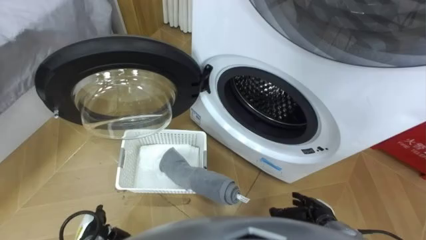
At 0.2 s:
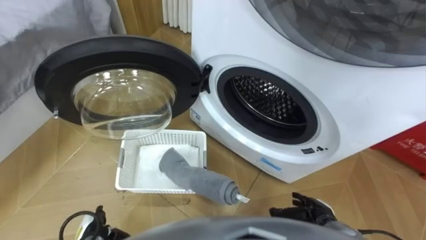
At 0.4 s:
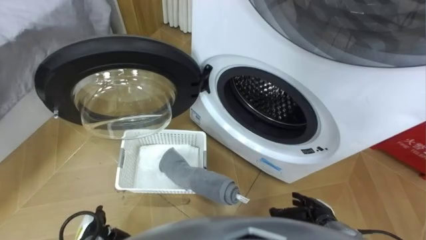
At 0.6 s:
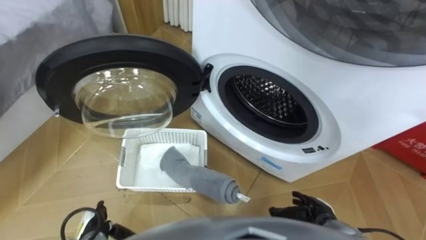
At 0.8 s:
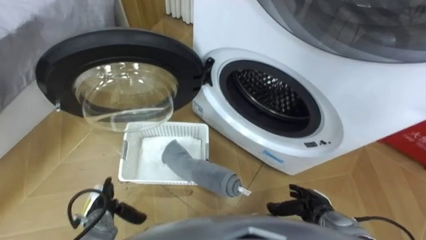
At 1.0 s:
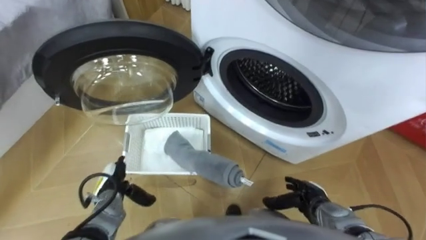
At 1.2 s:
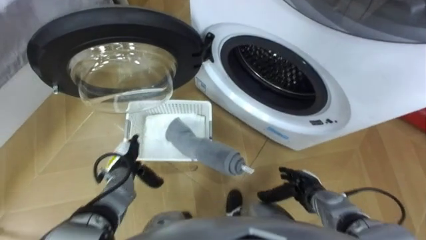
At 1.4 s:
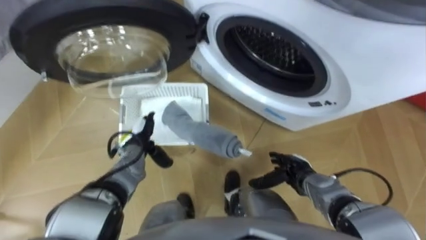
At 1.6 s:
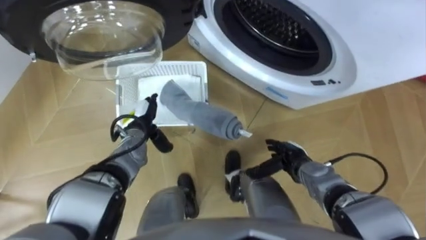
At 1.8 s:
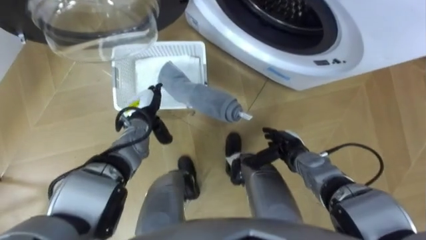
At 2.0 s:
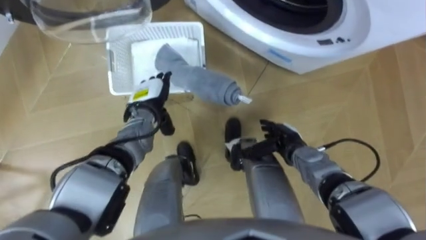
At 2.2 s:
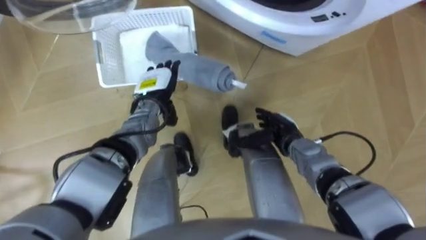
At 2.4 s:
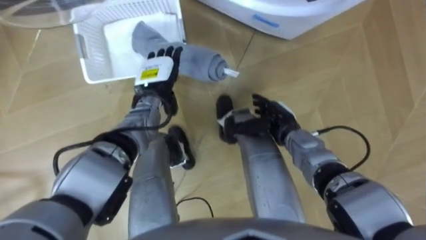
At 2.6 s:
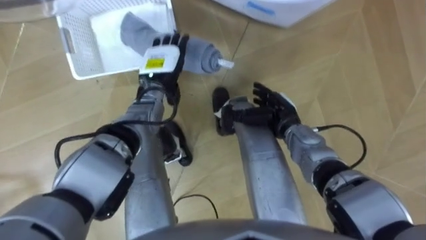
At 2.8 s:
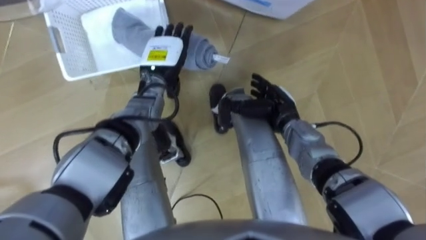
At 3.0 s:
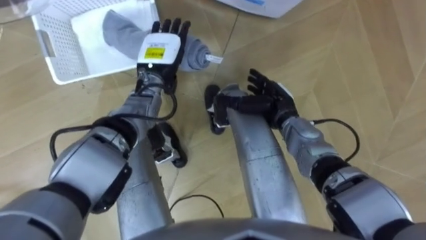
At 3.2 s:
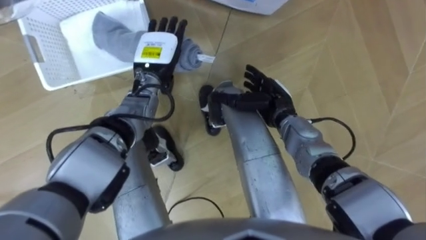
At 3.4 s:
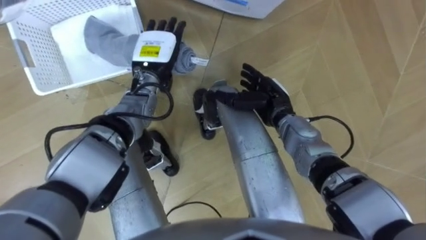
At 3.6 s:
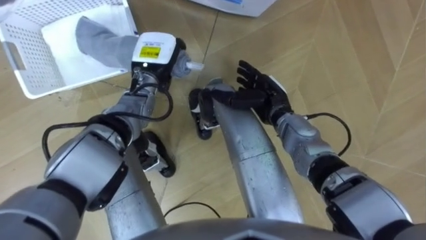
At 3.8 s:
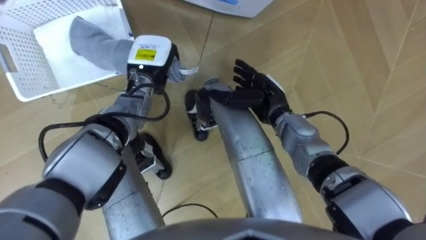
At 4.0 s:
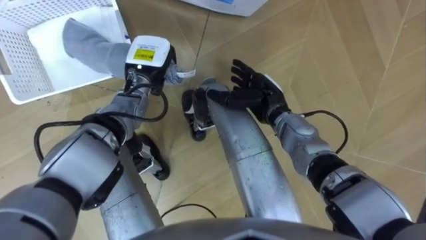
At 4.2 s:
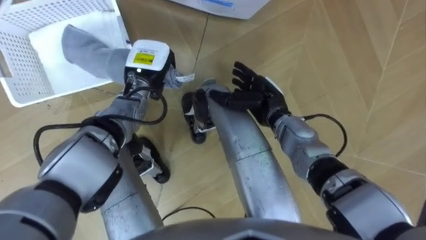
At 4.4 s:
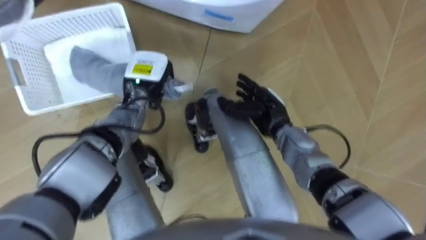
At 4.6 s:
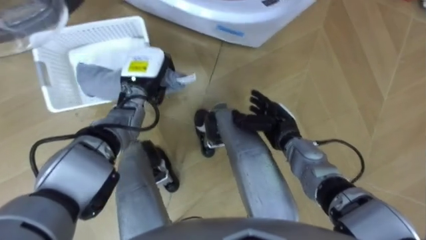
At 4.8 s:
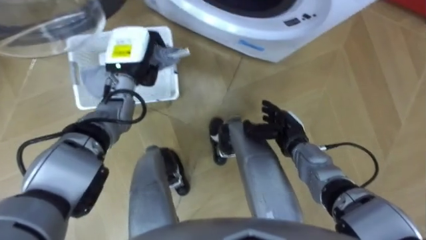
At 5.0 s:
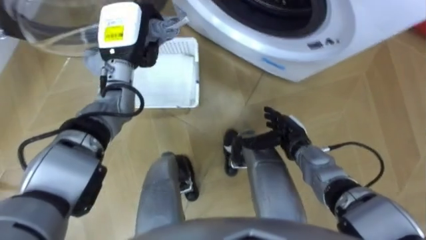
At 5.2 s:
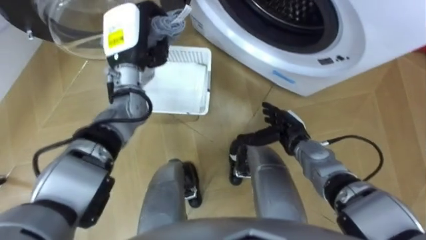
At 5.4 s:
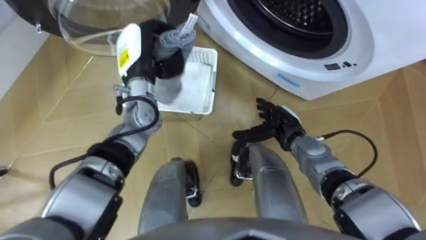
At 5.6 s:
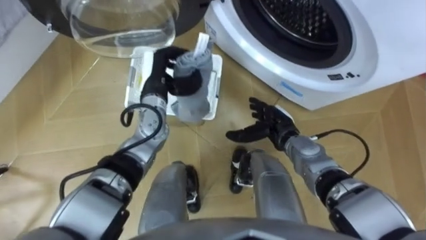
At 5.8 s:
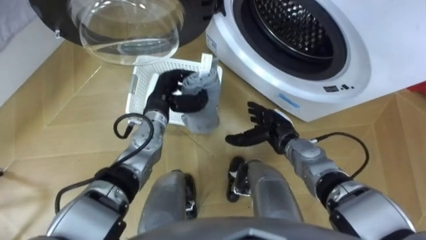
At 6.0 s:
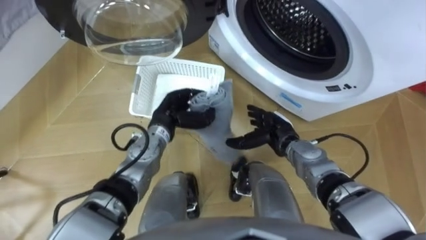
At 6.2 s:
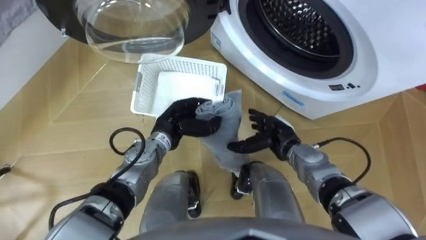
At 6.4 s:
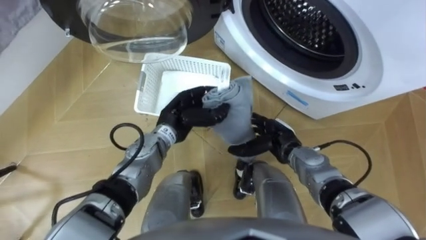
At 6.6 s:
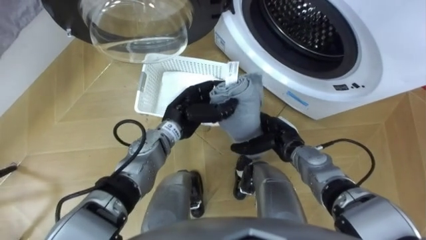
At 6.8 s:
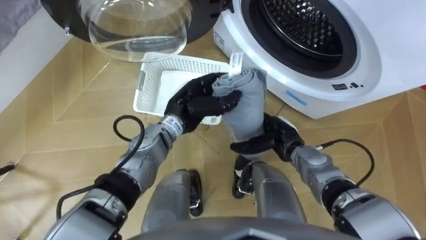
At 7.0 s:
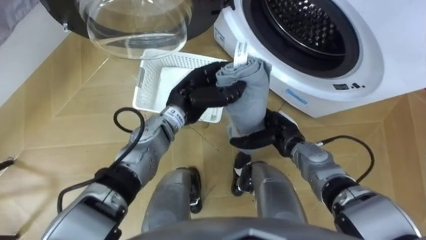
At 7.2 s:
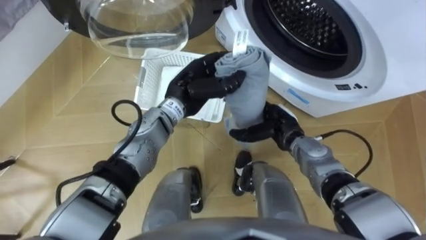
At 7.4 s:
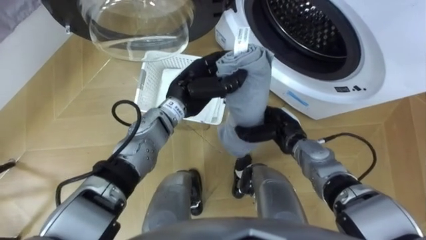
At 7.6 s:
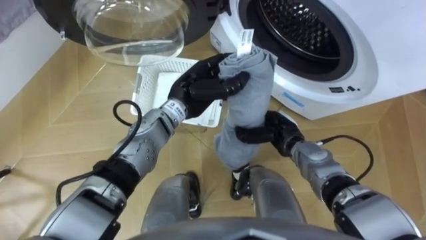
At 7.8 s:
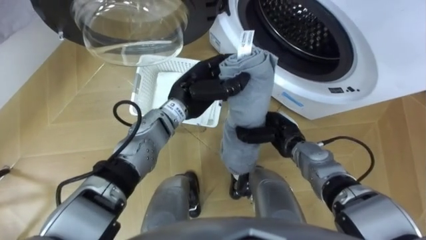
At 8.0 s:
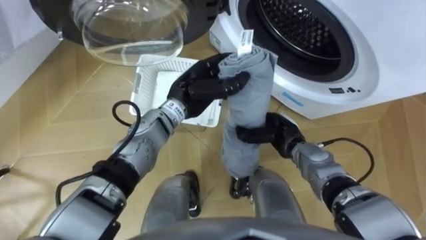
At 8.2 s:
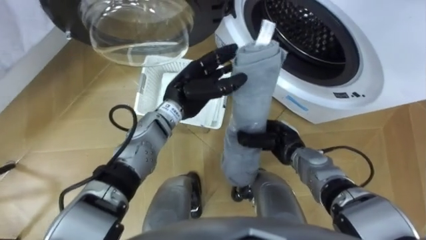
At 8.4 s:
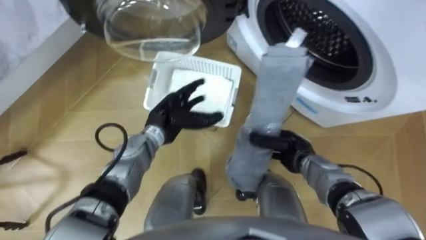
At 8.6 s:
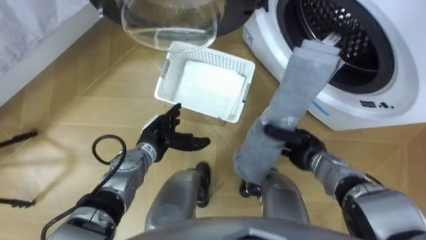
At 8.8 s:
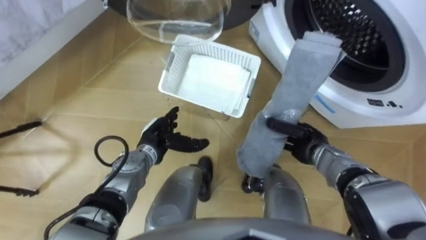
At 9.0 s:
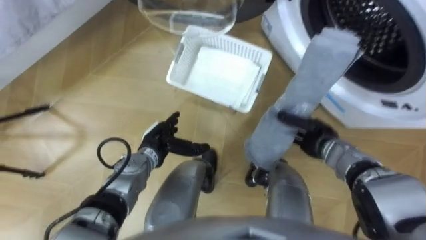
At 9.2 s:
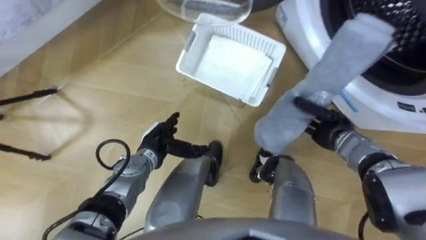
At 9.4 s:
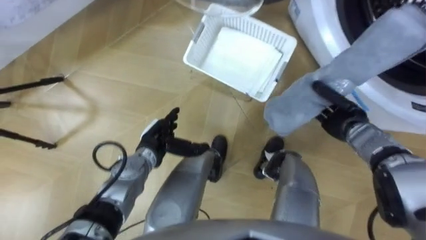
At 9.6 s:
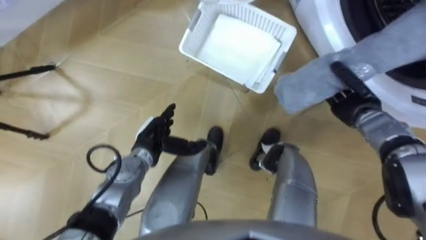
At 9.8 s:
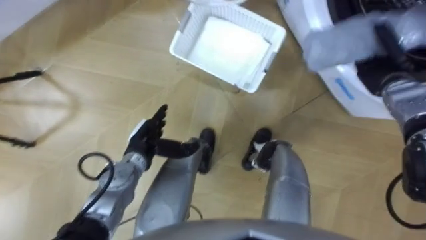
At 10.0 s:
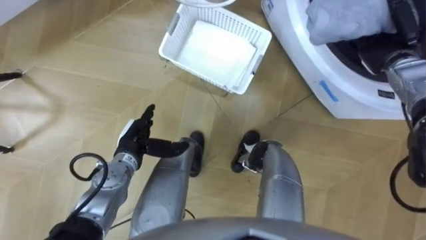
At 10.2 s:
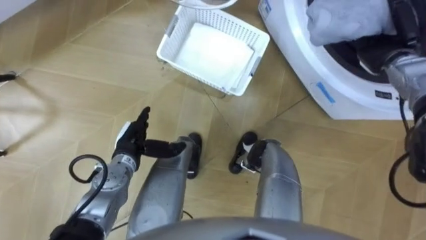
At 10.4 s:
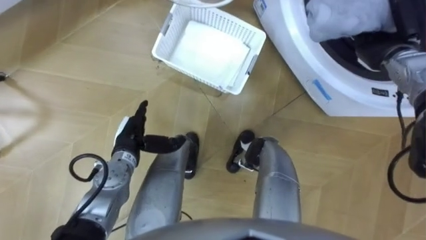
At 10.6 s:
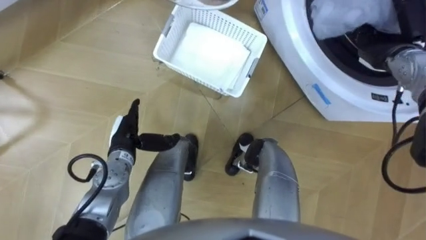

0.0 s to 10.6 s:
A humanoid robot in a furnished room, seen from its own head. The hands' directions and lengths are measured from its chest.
Task of the whole recording: Take the towel from the basket and put it into the washing machine.
1.6 to 3.0 s: The right hand shifts about 15 cm forward, upward and to the left, while the left hand travels upward, forward and to the right by roughly 15 cm.
3.0 to 4.6 s: The left hand ends up approximately 5 cm from where it was, and closes up.
4.6 to 6.0 s: The left hand goes approximately 5 cm backward, and reaches about 10 cm upward, then returns.
6.0 to 7.6 s: The right hand closes. The left hand is displaced upward and to the right by some 10 cm.
7.6 to 9.0 s: The left hand heads downward, to the left and backward, covering roughly 15 cm, and opens. The right hand travels to the right by about 10 cm.
9.0 to 10.6 s: The right hand heads upward, forward and to the right, covering roughly 25 cm, while the left hand shifts about 5 cm to the left.

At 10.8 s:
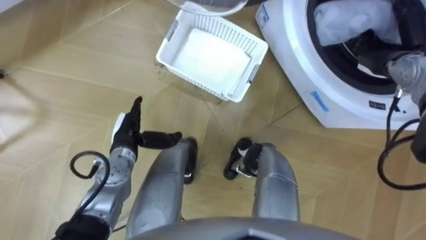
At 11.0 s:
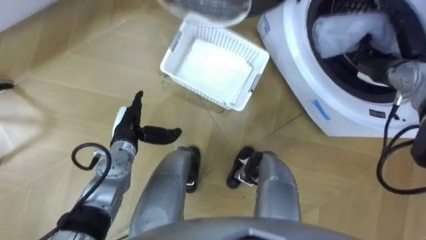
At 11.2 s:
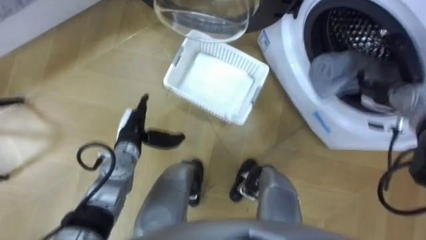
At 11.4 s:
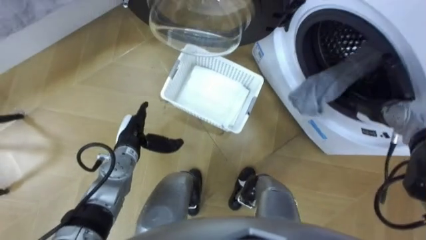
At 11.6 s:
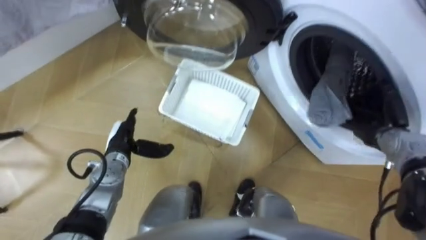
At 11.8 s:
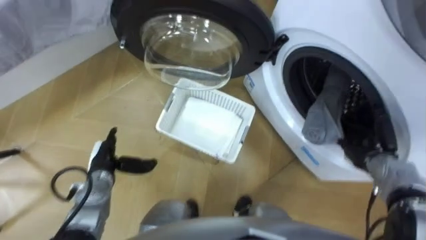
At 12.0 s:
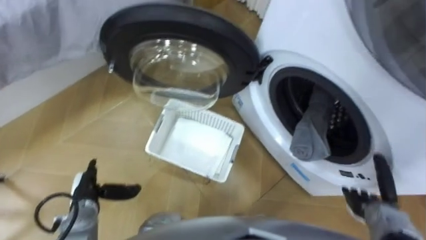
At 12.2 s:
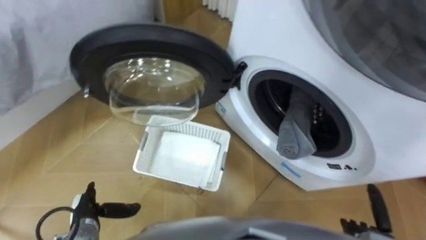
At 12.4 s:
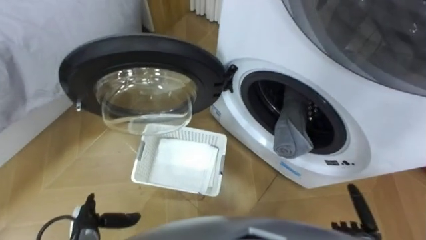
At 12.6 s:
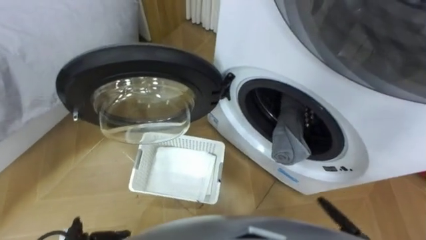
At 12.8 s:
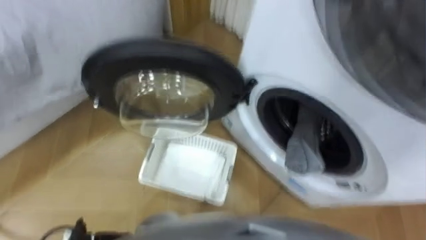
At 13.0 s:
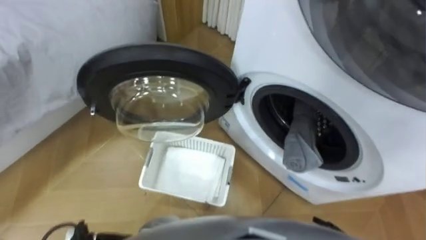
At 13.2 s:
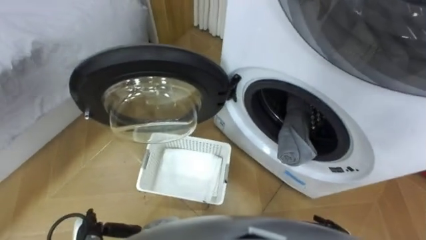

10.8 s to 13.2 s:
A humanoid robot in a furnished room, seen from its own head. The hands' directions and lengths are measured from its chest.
Task of the whole recording: Take the towel from the basket and put it into the washing machine.
10.8 to 12.0 s: The left hand moves backward, to the left and downward, approximately 15 cm. Meanwhile the right hand heads backward and downward, covering roughly 30 cm.

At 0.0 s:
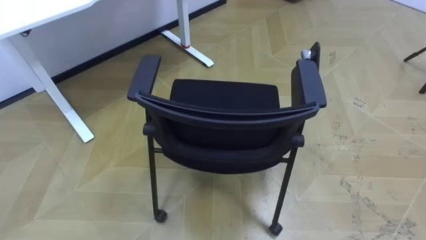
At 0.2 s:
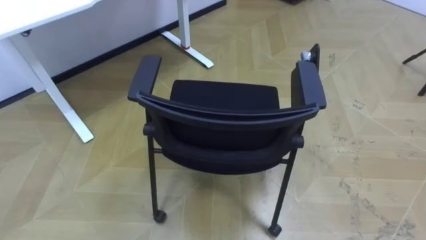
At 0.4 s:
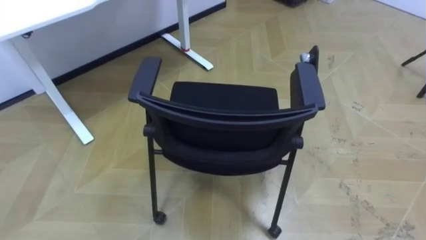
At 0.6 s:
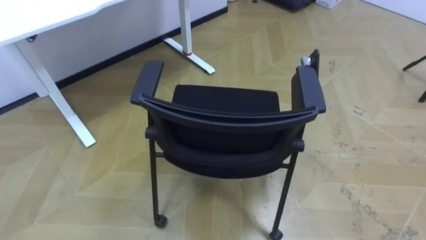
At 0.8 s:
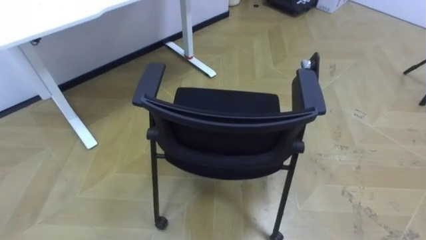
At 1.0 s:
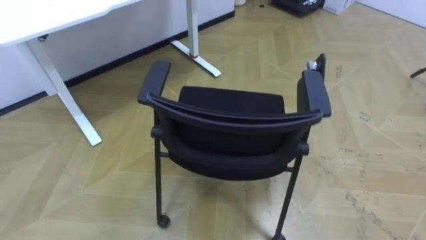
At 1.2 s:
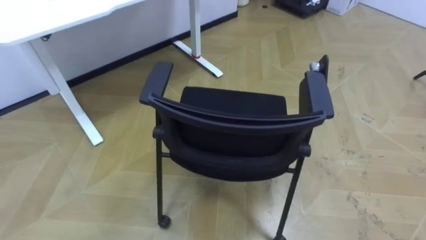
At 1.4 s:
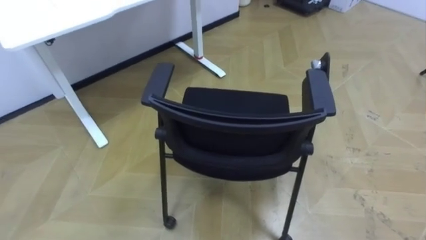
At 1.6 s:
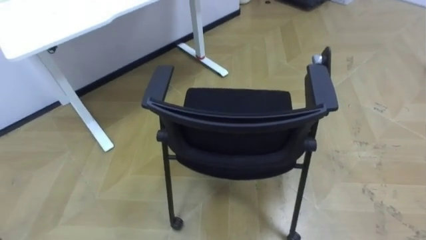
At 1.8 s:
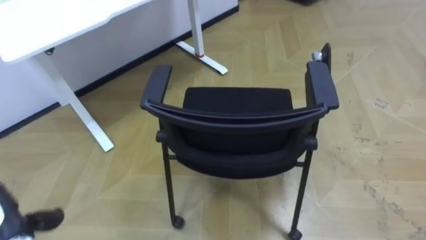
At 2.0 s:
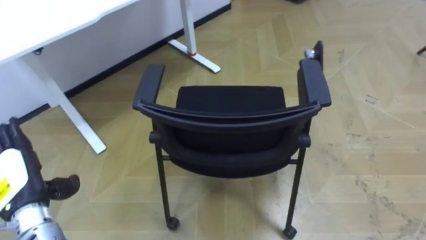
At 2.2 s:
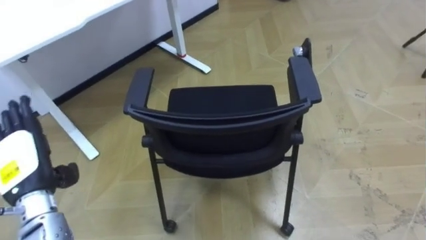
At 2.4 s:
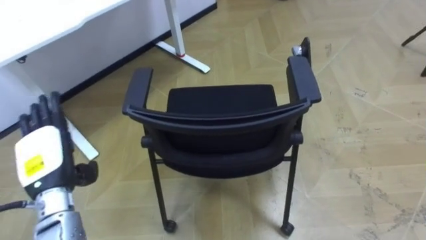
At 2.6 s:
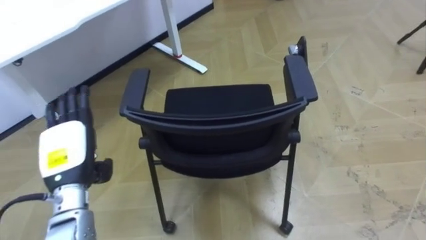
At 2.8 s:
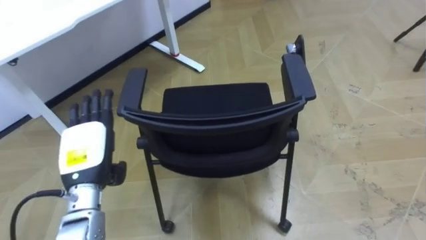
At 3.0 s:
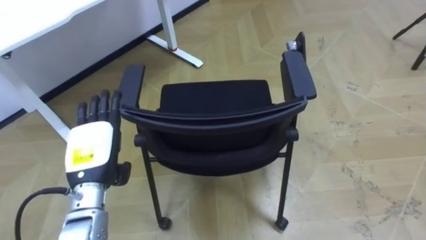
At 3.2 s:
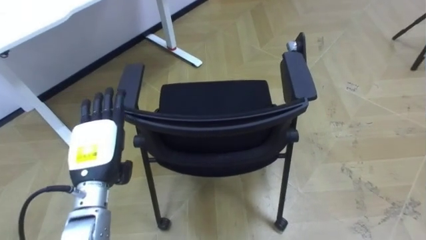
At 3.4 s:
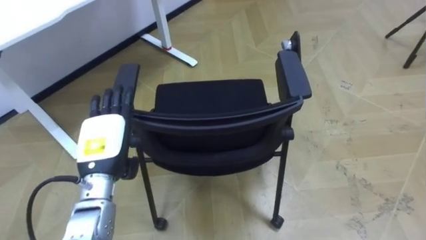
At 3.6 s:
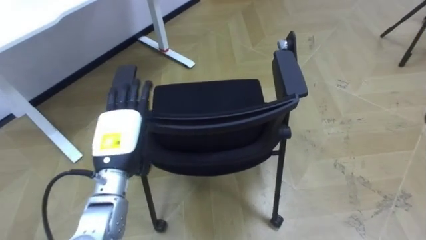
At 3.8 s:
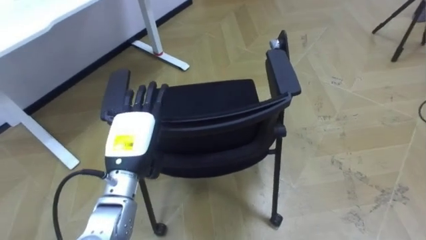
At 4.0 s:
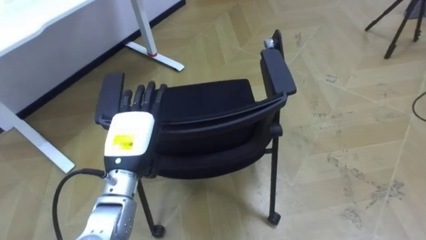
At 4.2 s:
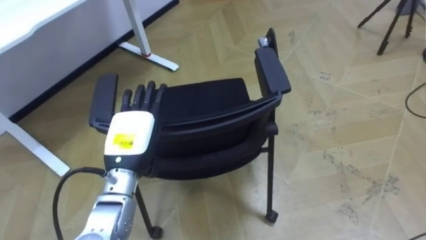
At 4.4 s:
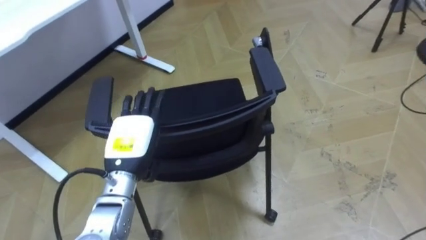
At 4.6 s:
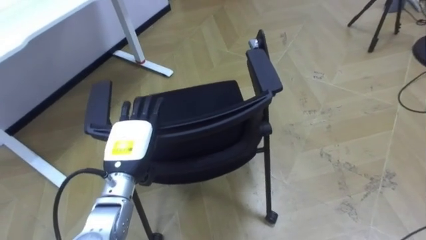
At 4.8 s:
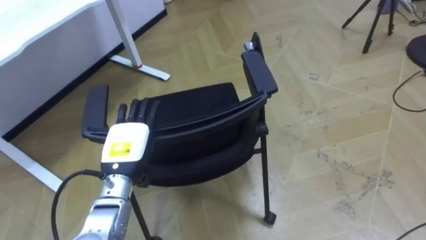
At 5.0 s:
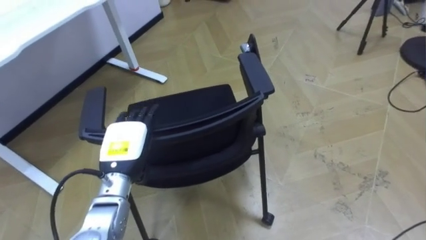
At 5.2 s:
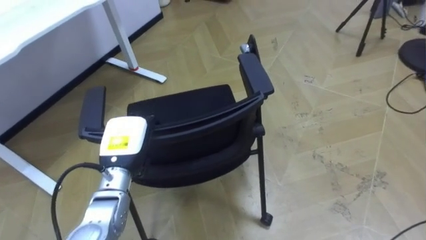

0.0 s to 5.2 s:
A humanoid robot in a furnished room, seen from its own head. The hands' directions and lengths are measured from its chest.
Task of the whole recording: Push the chair under the table.
1.8 to 3.4 s: The left hand goes about 20 cm to the right, forward and upward.
3.4 to 5.2 s: The left hand closes up.
